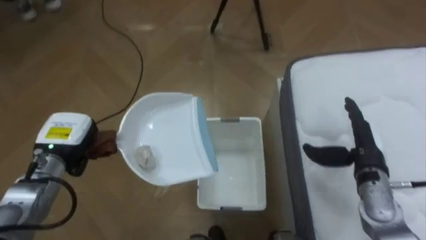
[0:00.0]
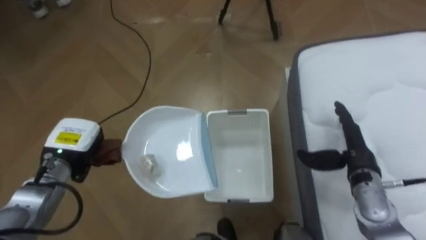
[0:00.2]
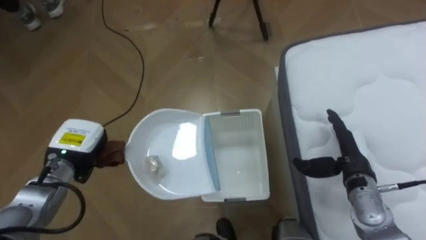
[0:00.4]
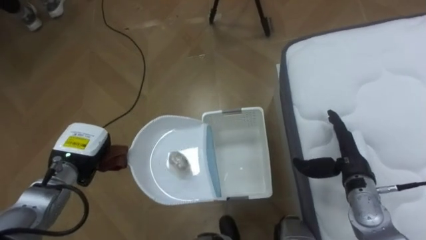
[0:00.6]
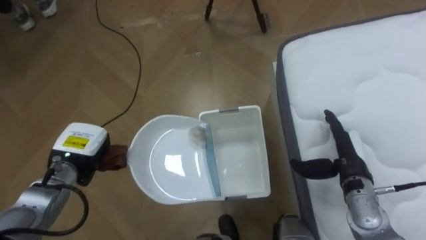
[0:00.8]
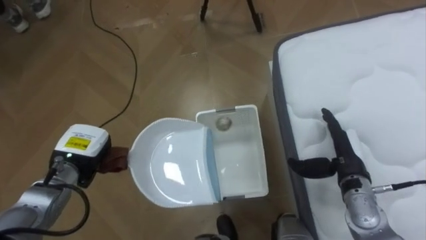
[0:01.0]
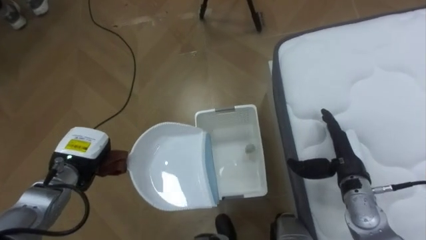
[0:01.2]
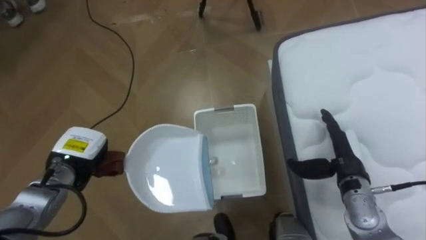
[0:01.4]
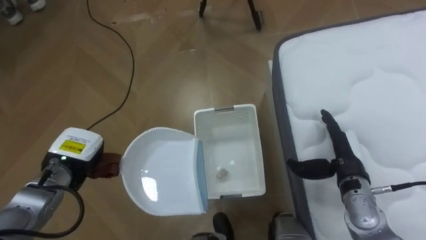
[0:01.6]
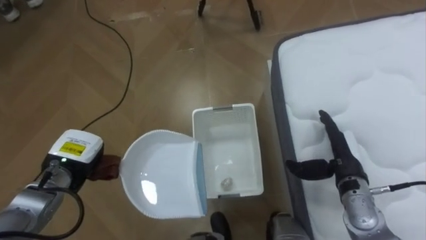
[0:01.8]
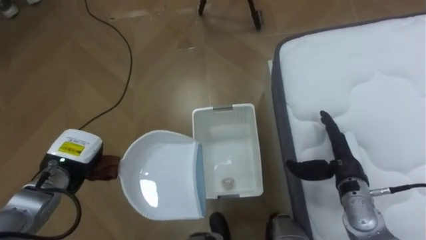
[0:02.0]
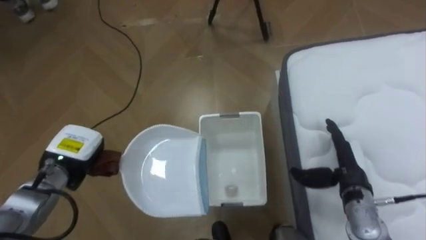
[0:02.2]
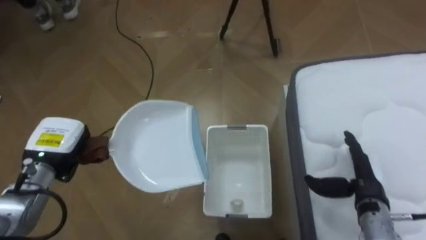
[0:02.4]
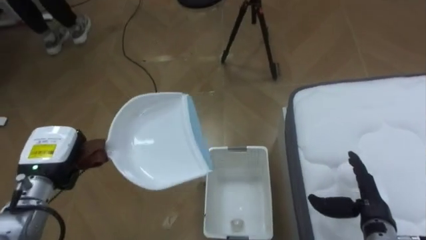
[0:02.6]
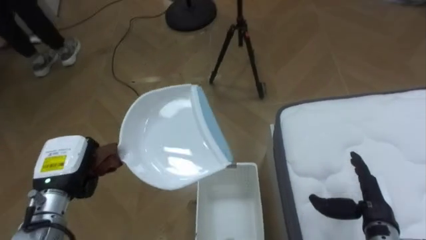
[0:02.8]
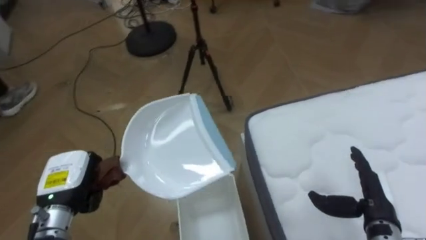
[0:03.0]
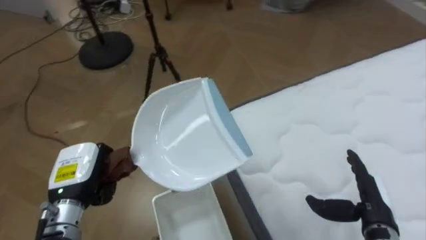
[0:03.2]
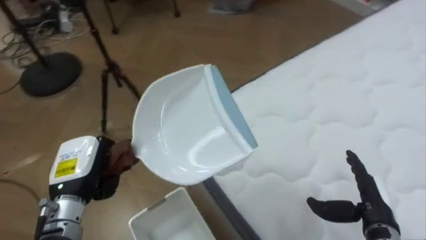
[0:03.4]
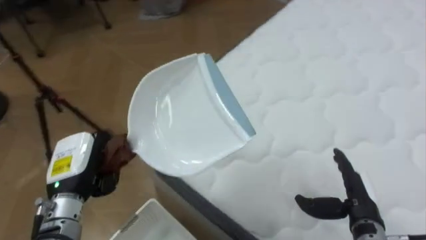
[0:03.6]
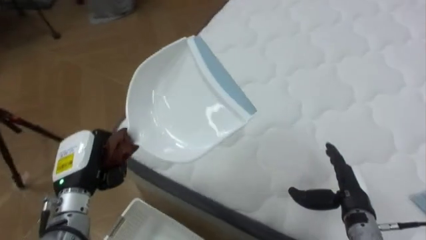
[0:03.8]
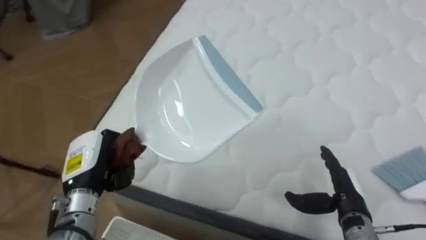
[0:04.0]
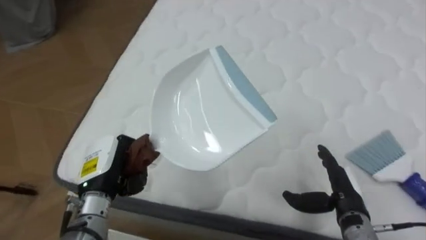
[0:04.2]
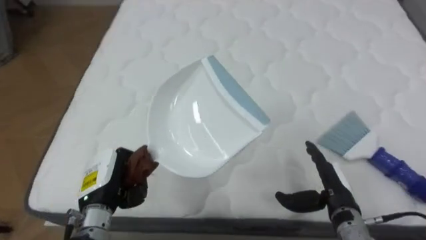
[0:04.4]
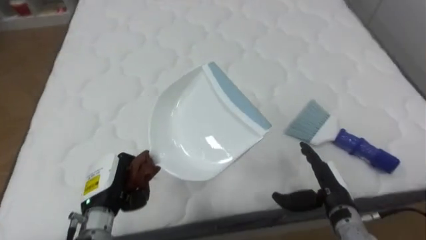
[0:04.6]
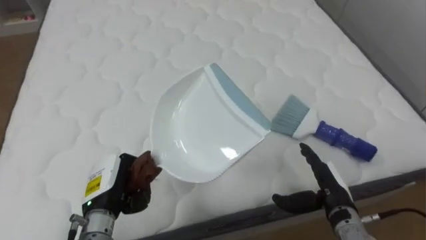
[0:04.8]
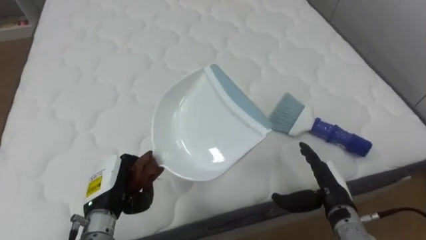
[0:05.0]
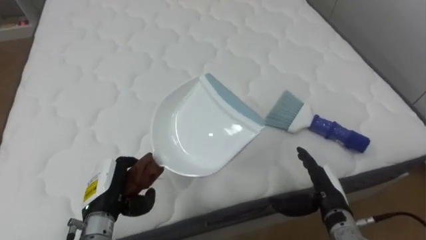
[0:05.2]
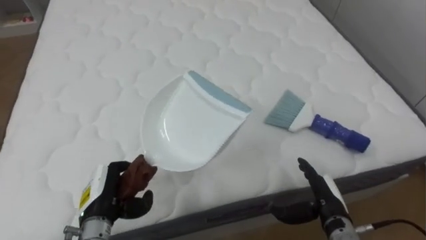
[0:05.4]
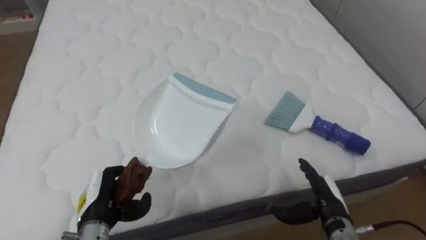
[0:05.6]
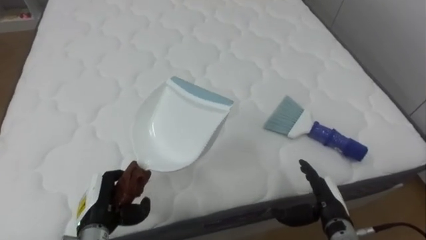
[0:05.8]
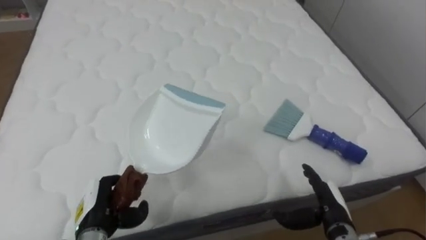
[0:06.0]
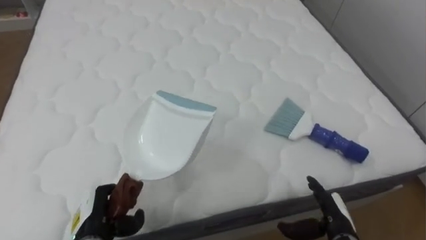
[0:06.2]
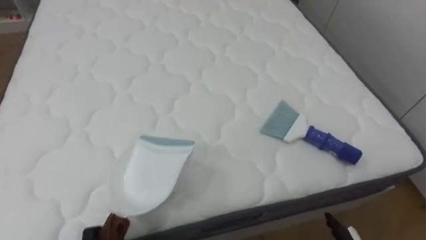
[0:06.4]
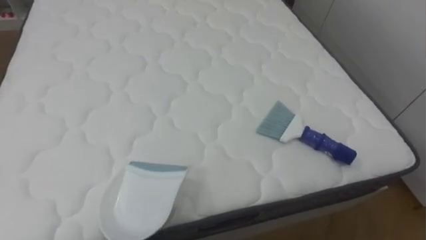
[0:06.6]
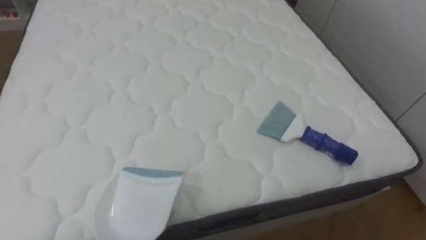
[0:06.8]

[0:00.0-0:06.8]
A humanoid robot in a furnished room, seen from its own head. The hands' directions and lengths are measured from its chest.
Task of the whole recording: Pick up the brush on your right and the dustpan on your left. Use the brush to sweep the crumpled paper on the bed into the dustpan, then turn left and empty it into the basket.
0:01.4 to 0:02.8: The right hand travels backward by some 10 cm.
0:02.8 to 0:04.0: The robot faces some 70 degrees further to its right.
0:04.0 to 0:05.4: The robot rotates about 30 degrees to its right. The left hand travels downward by about 5 cm.

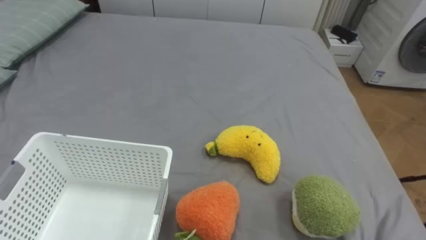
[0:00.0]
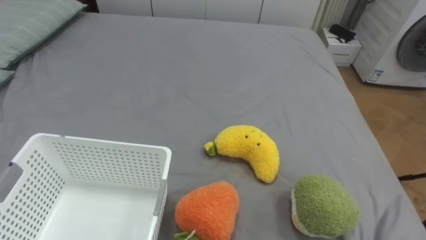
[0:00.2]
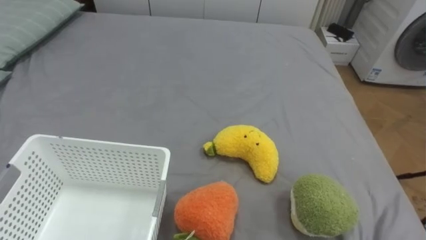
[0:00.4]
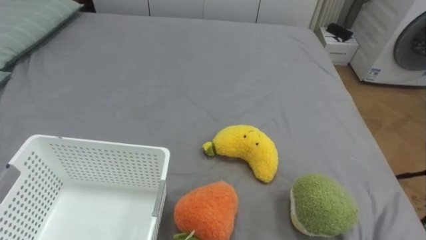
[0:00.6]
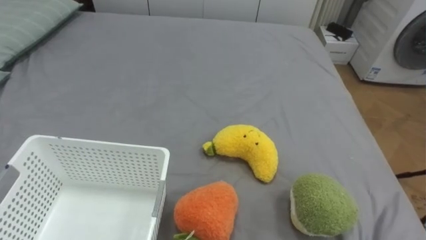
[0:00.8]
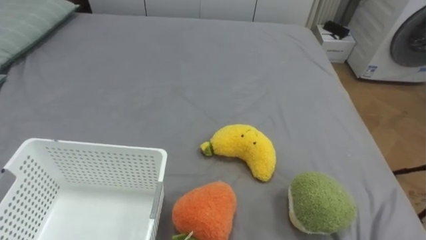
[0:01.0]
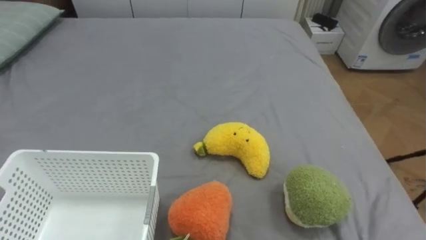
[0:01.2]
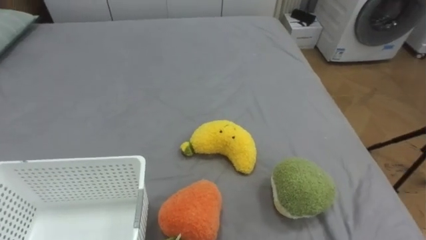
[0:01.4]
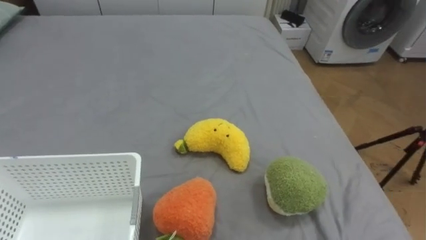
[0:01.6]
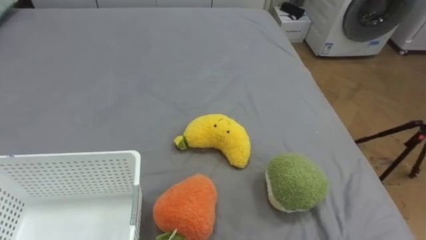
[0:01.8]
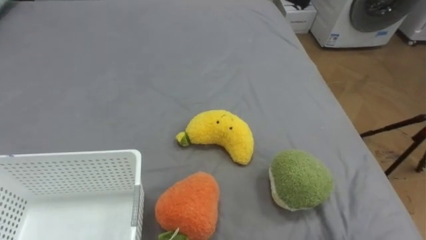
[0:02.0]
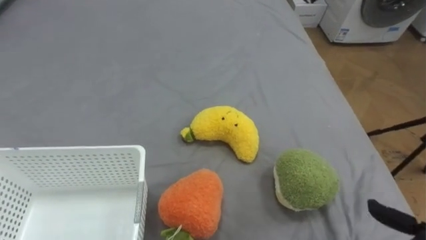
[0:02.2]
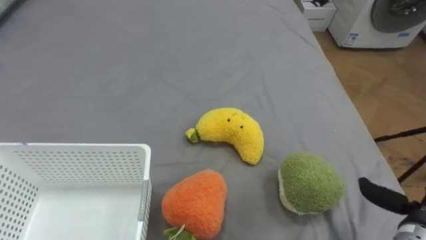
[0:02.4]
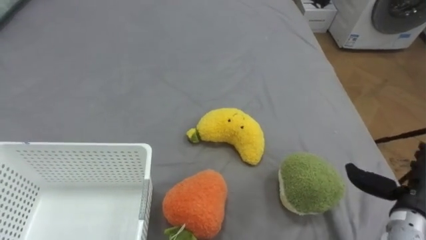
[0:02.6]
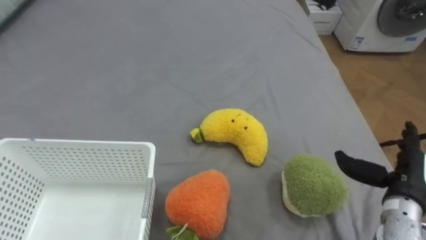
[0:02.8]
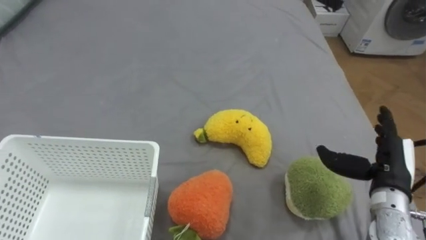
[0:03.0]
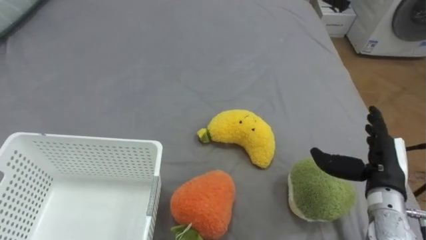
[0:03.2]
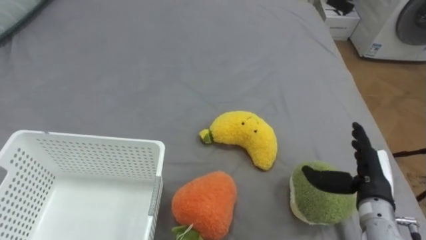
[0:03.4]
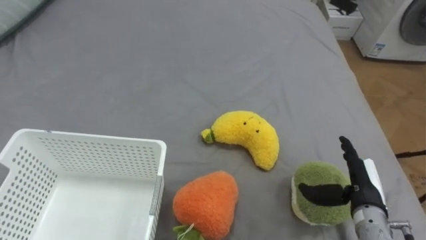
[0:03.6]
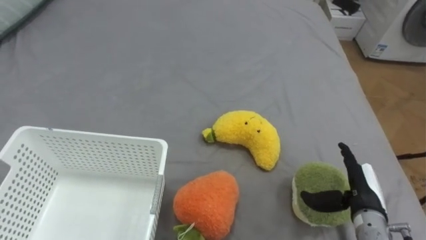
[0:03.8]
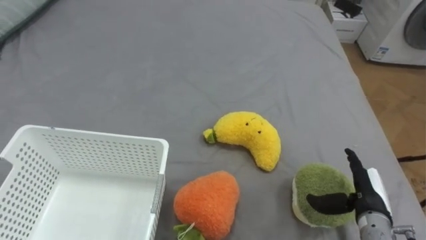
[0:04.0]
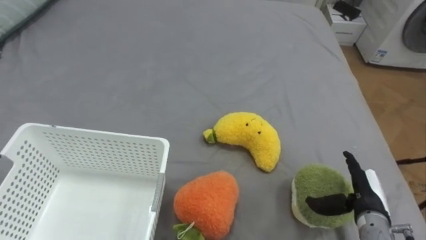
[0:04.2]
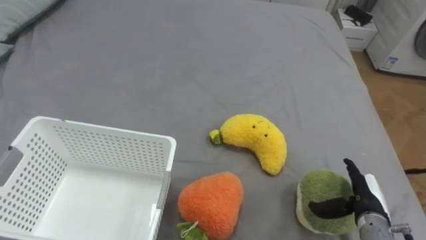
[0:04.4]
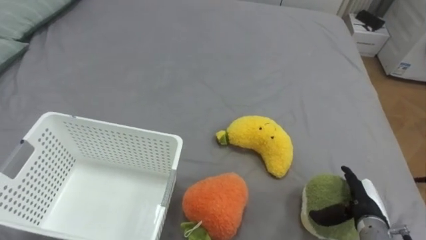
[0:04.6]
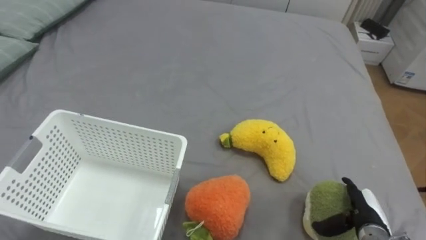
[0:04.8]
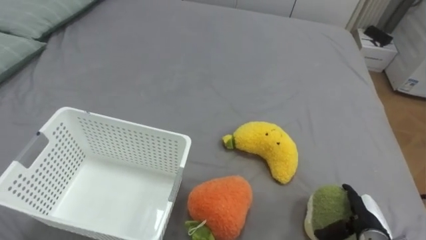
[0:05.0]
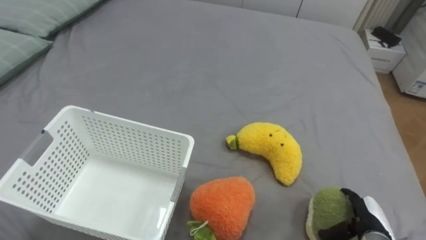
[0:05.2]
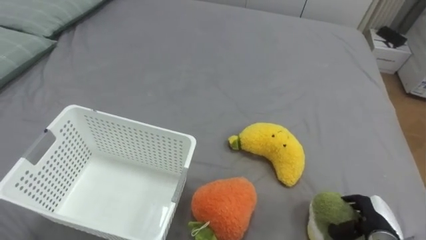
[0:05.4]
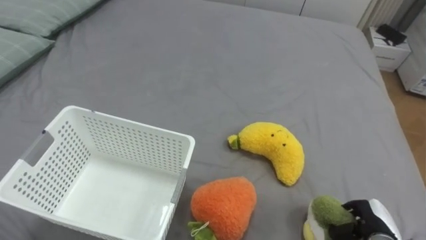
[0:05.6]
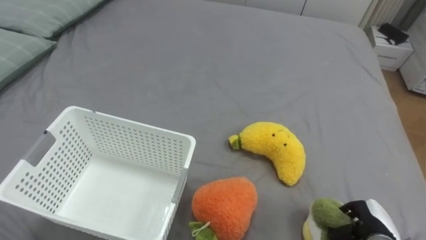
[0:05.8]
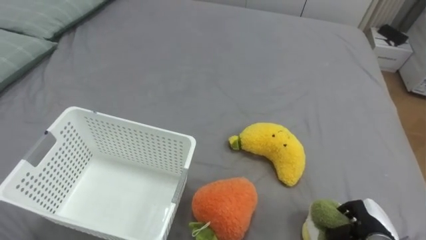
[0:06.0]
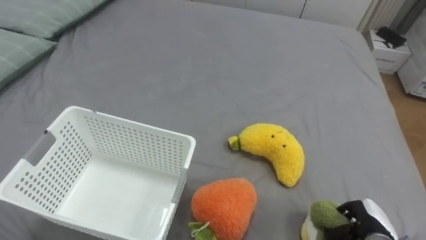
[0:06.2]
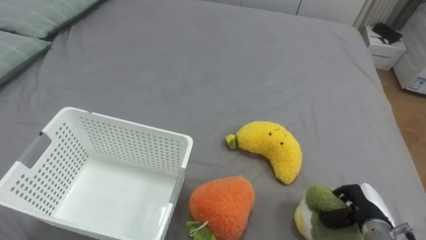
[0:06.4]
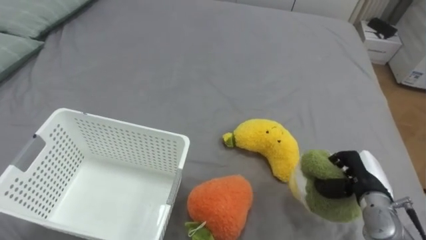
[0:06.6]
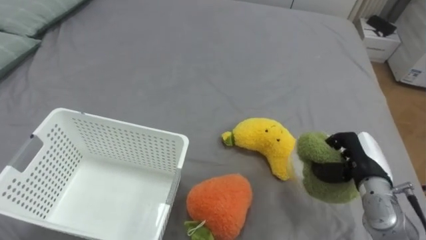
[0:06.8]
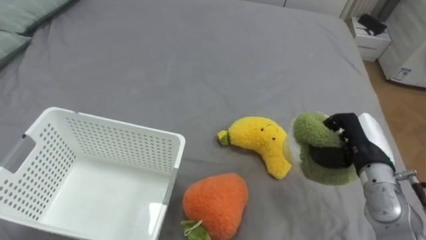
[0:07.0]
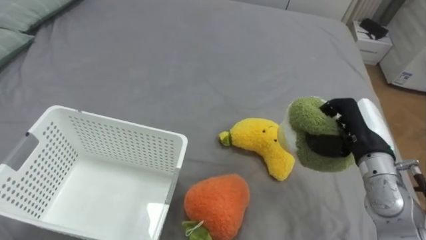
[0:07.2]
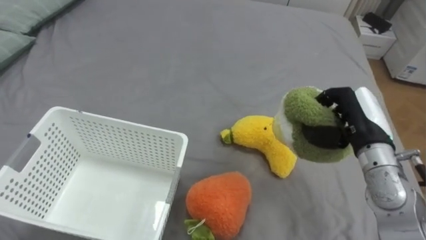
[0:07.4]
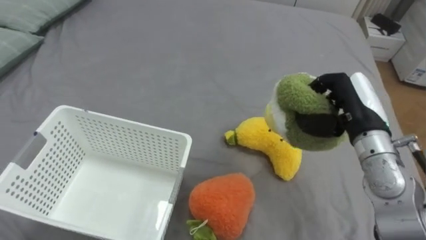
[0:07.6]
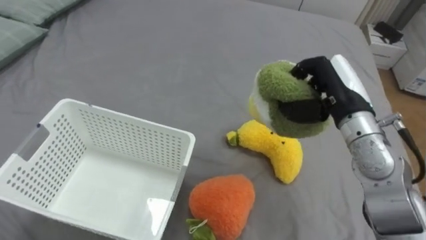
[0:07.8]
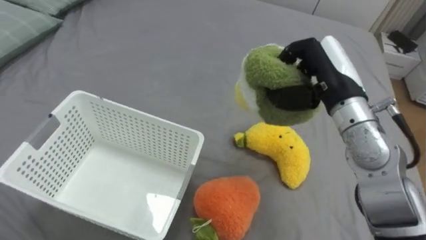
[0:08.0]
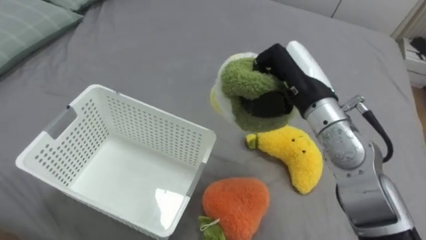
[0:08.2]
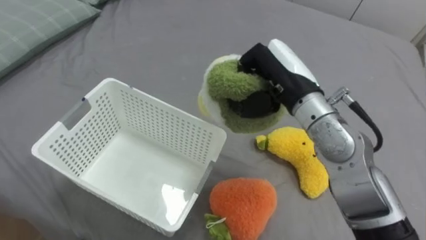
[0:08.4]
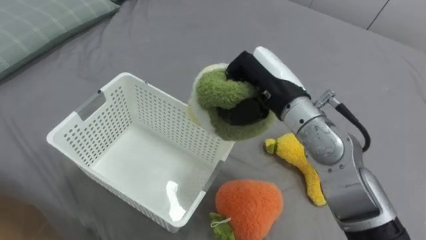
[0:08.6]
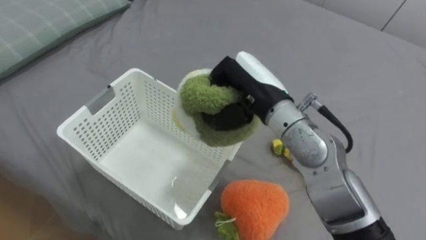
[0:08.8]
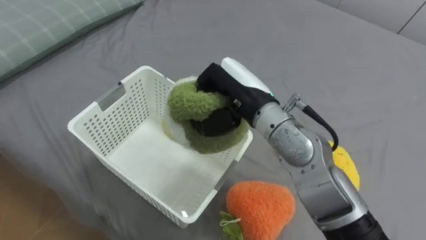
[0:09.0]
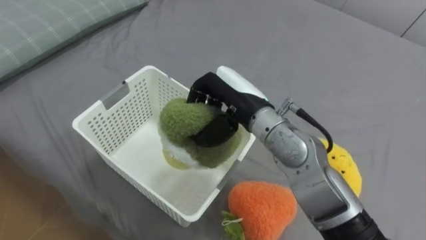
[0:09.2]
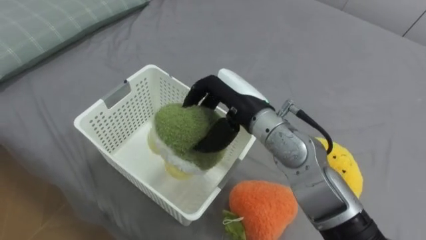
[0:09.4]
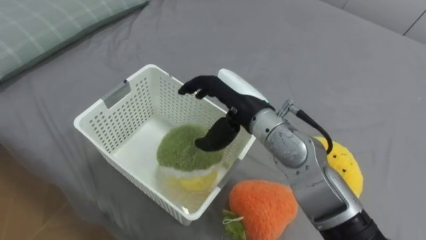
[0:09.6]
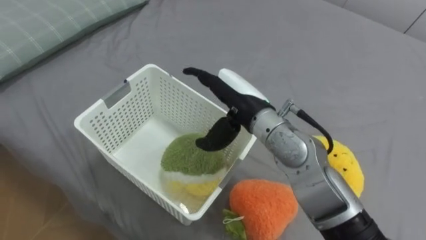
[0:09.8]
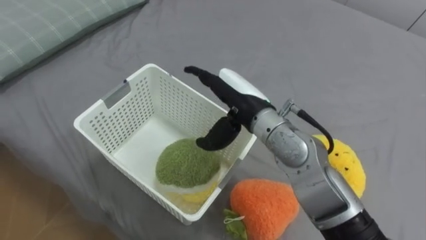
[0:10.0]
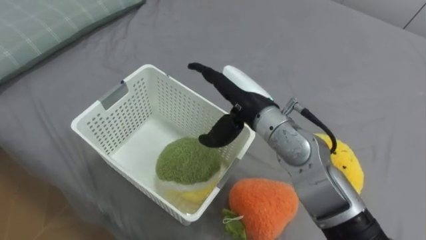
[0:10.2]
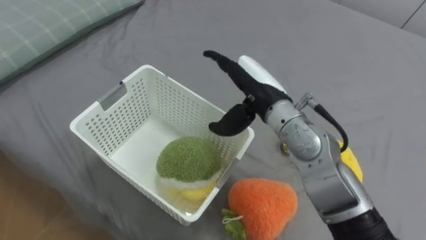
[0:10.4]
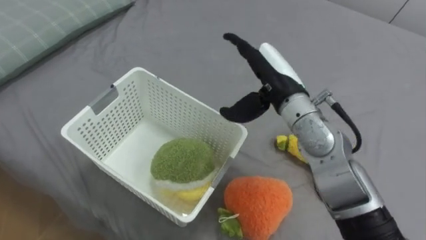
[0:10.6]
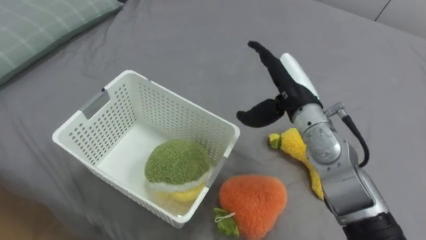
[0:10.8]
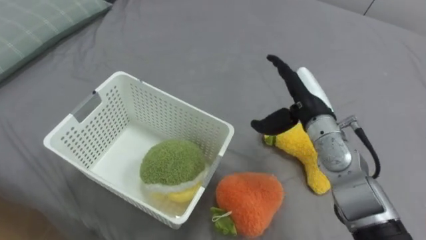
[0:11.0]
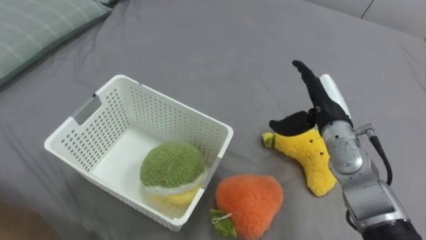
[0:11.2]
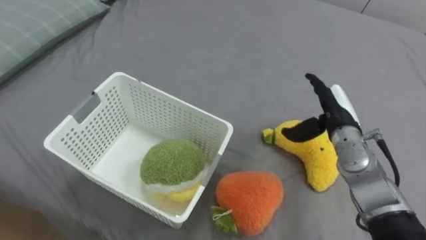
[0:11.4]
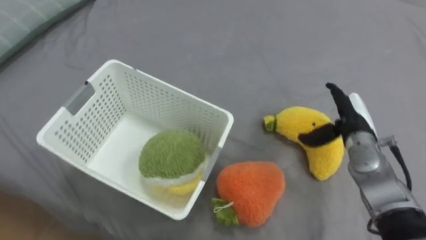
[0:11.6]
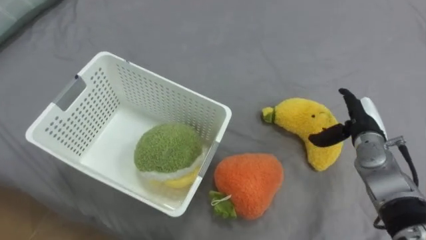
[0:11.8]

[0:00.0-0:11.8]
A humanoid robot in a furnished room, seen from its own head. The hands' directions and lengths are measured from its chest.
Task of the whole recording: Put the toys on the bed into the basket on the left.
0:03.0 to 0:04.4: The right hand travels downward by roughly 10 cm.
0:04.4 to 0:06.0: The right hand travels downward by approximately 5 cm, and closes its fingers.
0:06.0 to 0:07.4: The right hand is displaced upward and forward by approximately 25 cm.
0:07.4 to 0:08.8: The right hand travels to the left by some 20 cm.
0:08.8 to 0:10.4: The right hand opens its fingers.
0:10.4 to 0:11.8: The right hand shifts approximately 25 cm to the right and downward.
